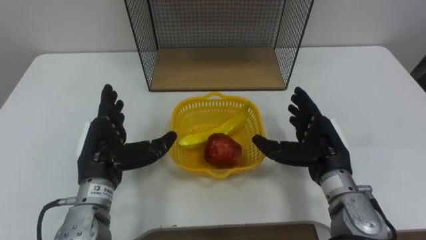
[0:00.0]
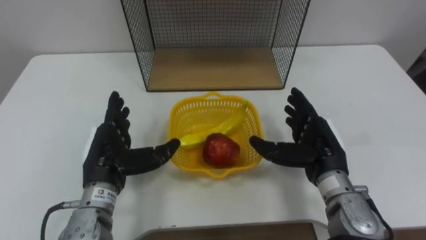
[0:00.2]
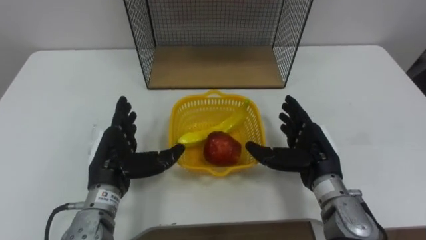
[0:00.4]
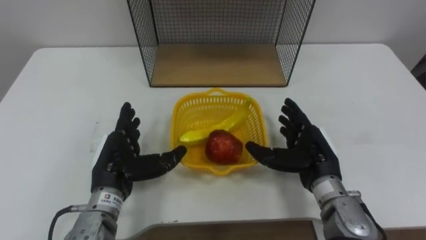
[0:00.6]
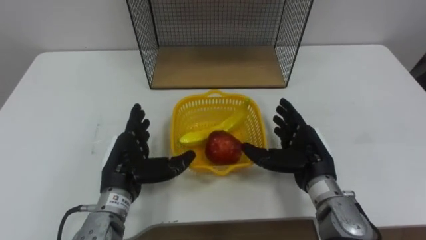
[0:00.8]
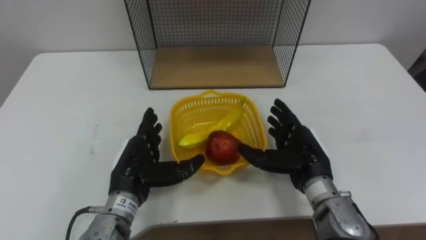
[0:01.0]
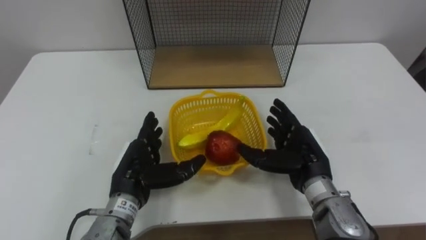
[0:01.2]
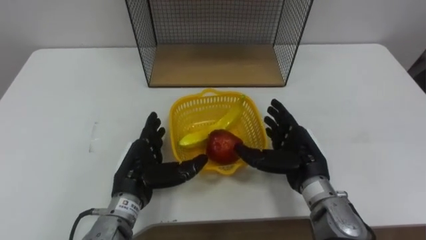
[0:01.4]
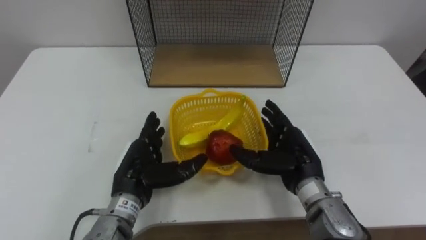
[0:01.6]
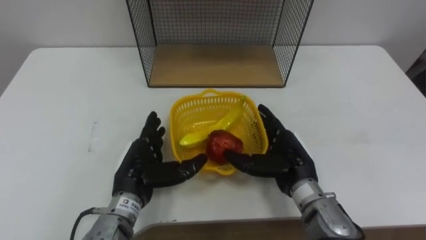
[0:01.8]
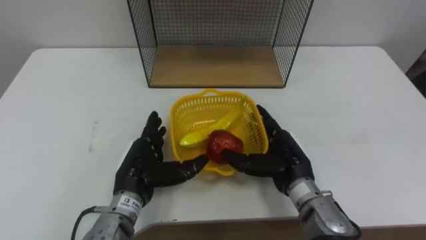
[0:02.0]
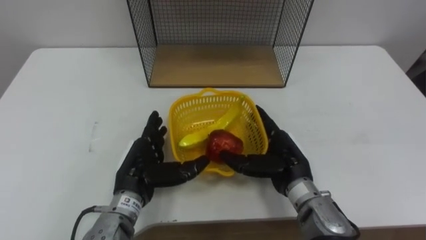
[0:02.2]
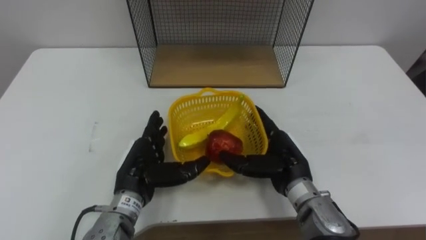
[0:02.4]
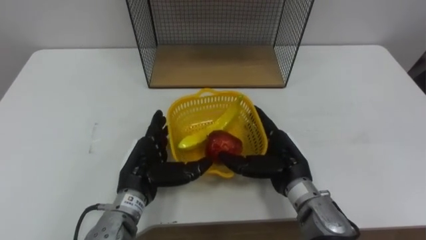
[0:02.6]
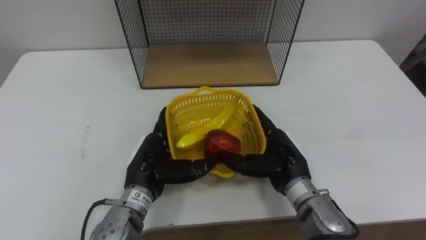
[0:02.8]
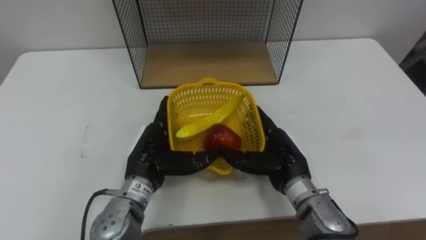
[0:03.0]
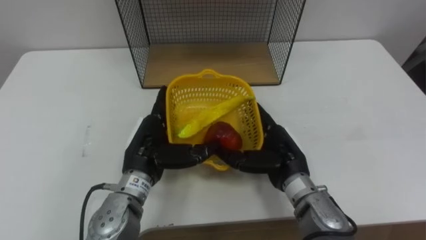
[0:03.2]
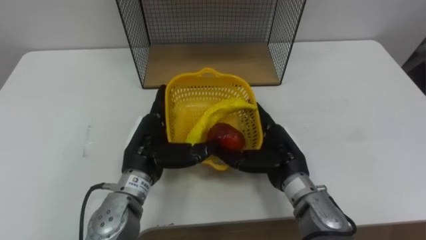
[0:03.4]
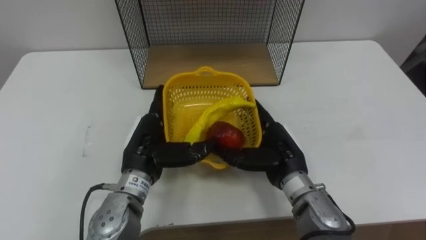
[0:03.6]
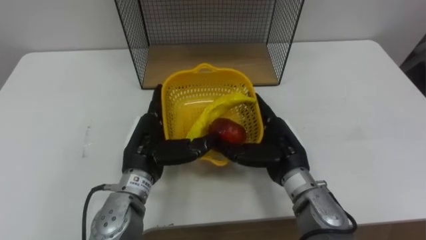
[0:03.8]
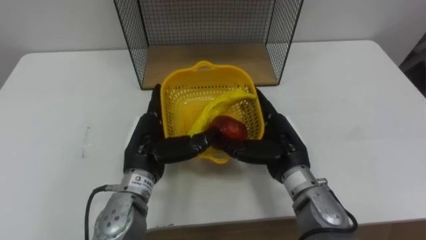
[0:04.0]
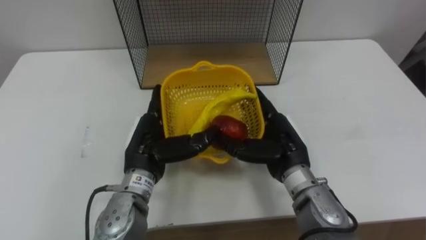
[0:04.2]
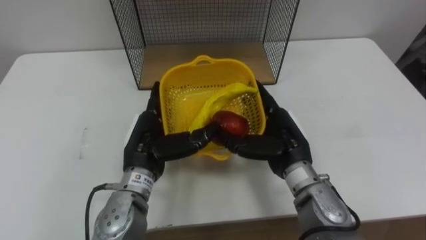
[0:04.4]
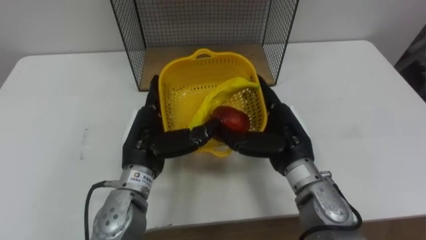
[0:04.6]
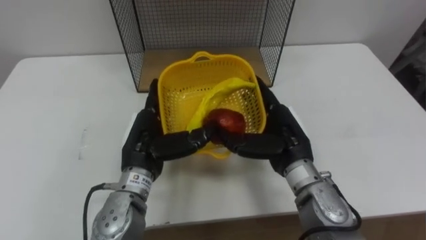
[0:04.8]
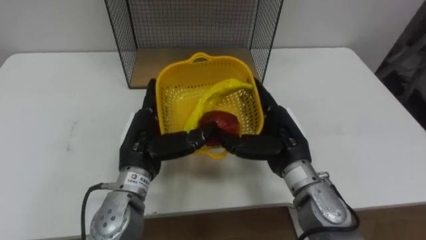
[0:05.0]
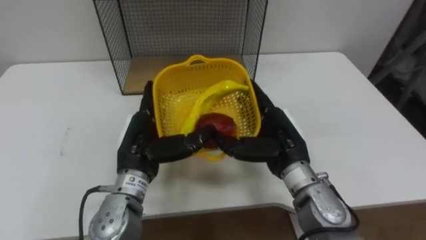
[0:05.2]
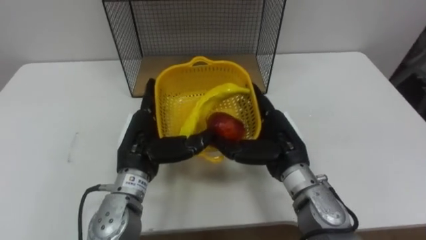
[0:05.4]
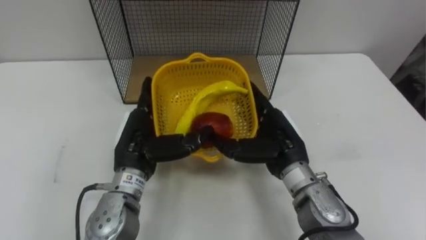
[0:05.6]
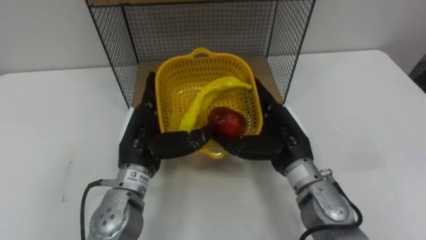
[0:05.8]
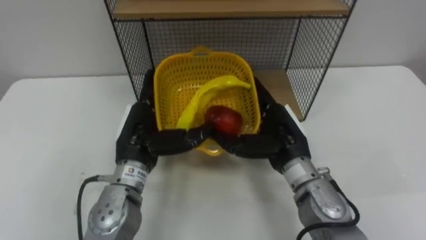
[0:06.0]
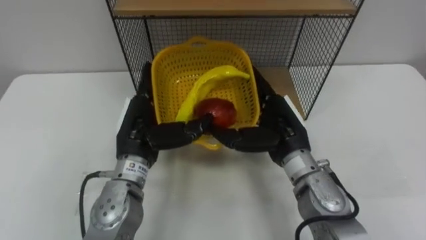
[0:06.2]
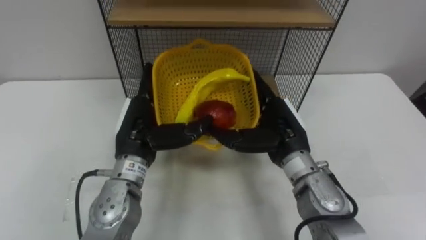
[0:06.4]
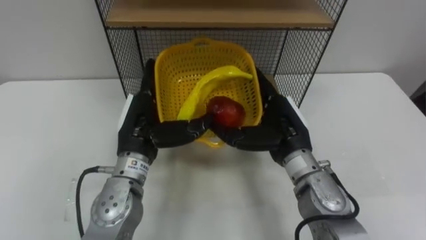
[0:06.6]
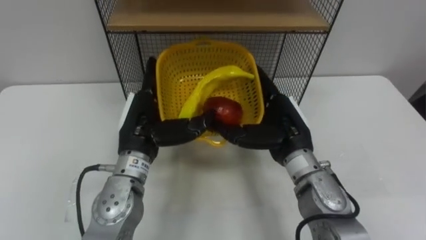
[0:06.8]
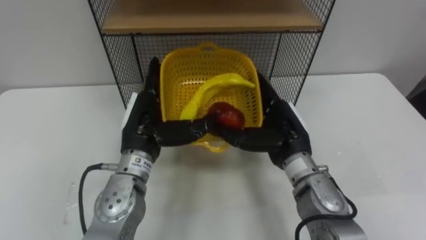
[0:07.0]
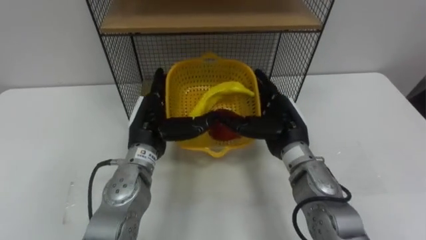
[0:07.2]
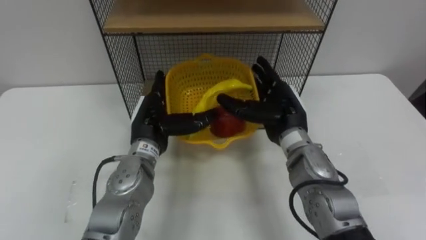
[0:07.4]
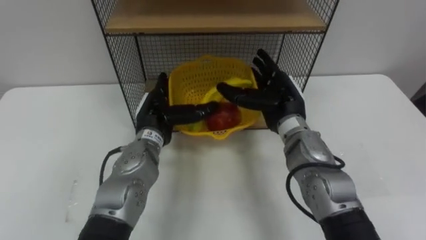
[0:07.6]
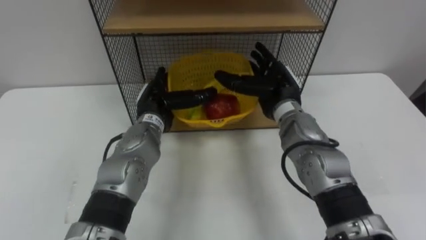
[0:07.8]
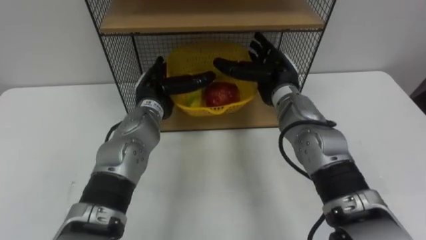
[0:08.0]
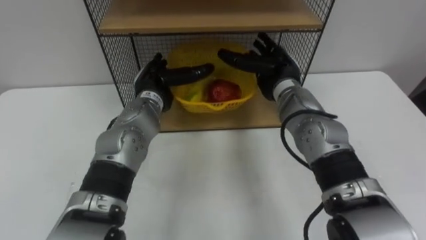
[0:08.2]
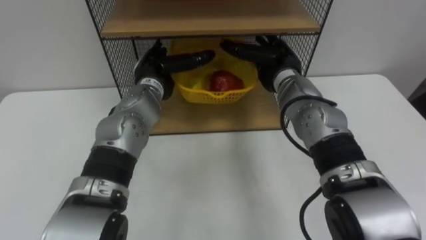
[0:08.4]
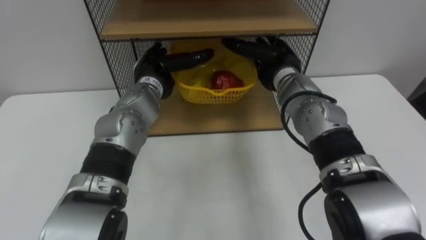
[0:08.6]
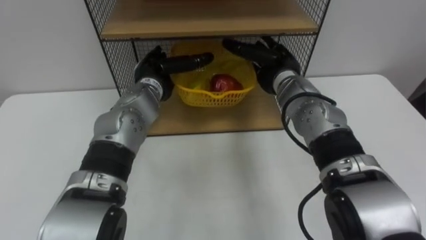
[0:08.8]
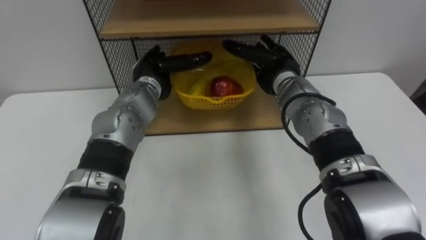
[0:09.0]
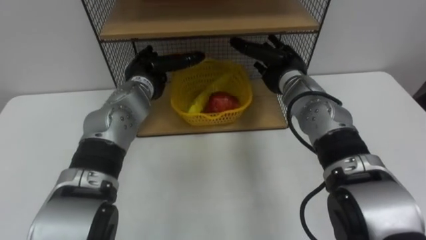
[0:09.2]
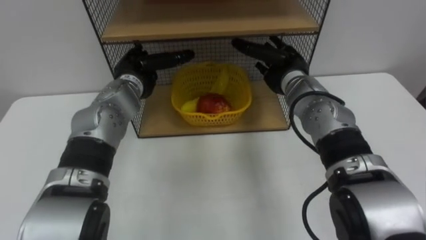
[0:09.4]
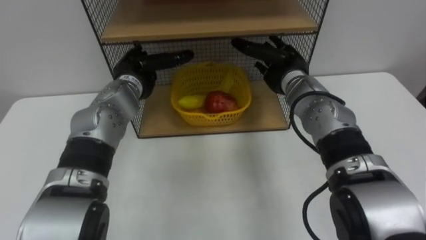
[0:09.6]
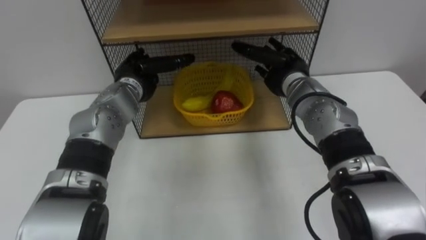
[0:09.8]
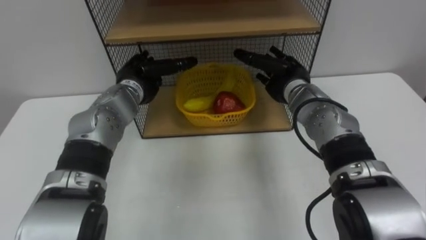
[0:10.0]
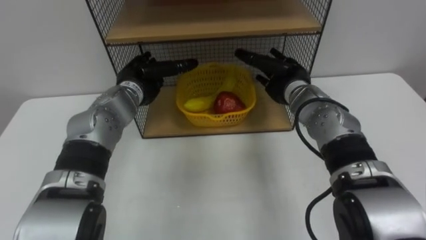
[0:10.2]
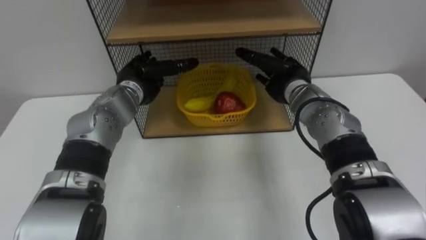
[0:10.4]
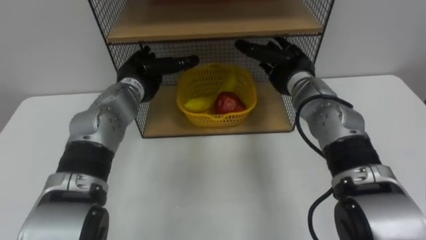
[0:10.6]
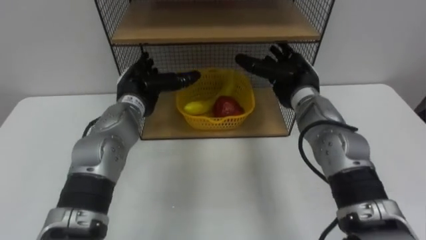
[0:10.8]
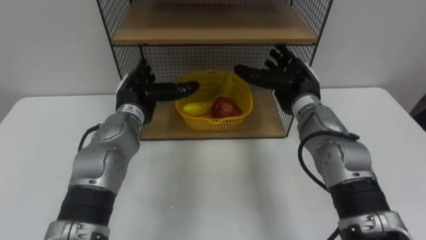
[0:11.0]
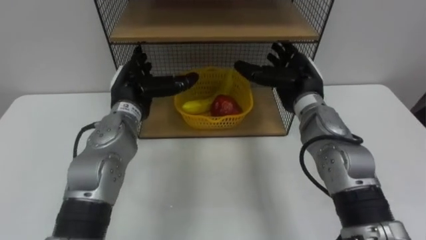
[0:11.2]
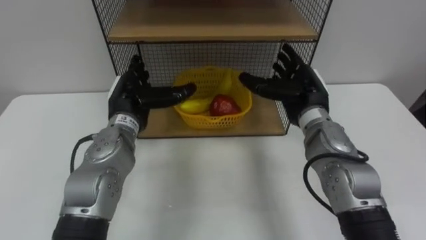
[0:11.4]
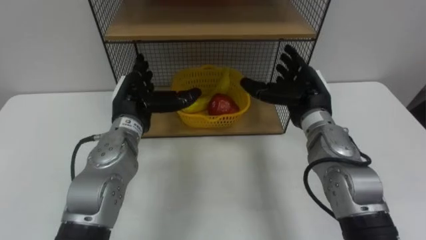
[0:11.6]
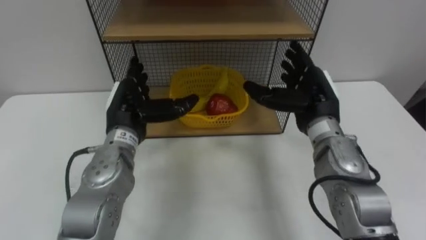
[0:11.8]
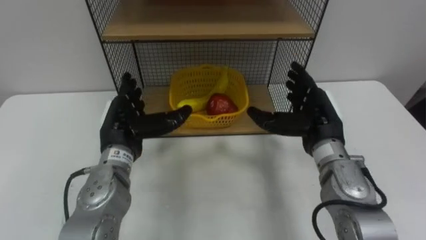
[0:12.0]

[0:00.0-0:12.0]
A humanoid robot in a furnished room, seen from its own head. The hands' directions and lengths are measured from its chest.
Task of the whole recording: Put the fruit on the table into the basket, then place the basket on the shelf.
0:00.0 to 0:01.6: The left hand shifts some 5 cm to the right.
0:01.6 to 0:03.0: There are only small adjustments of the hands.
0:06.0 to 0:07.6: Both hands travel together forward, some 5 cm.
0:07.6 to 0:09.0: Both hands move forward, roughly 5 cm.
0:10.4 to 0:12.0: Both hands move backward, roughly 10 cm.

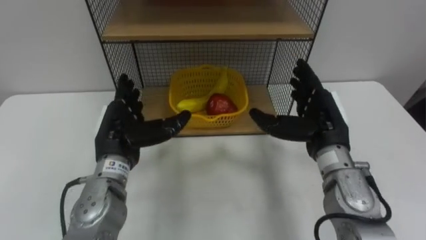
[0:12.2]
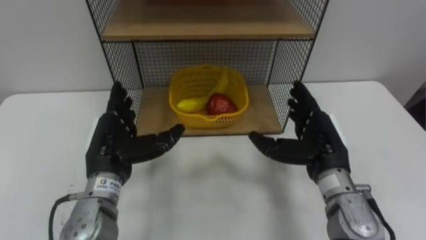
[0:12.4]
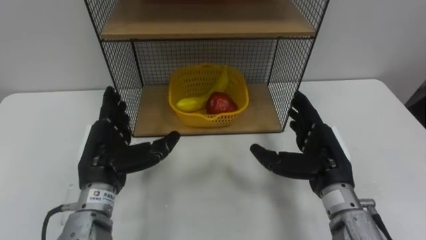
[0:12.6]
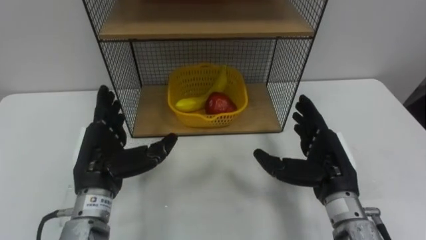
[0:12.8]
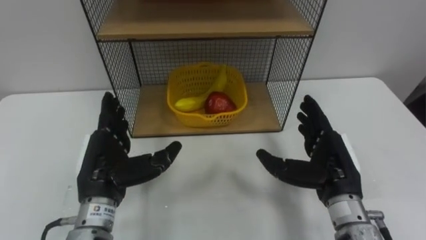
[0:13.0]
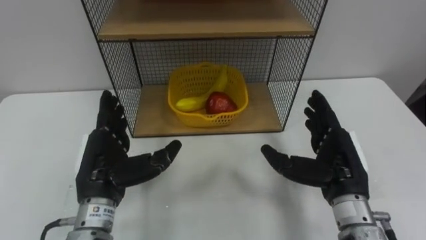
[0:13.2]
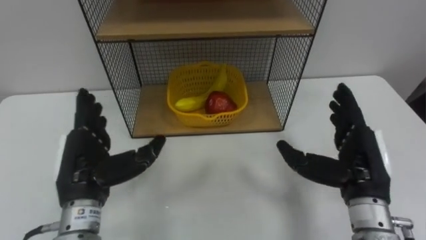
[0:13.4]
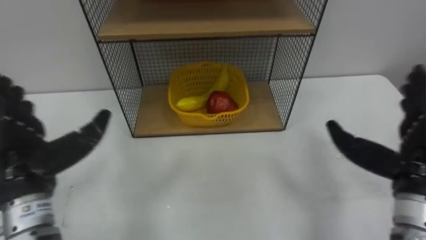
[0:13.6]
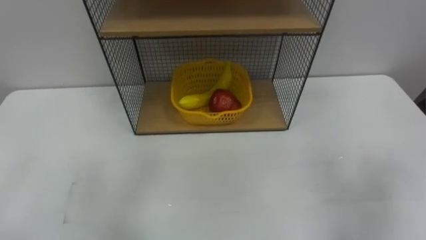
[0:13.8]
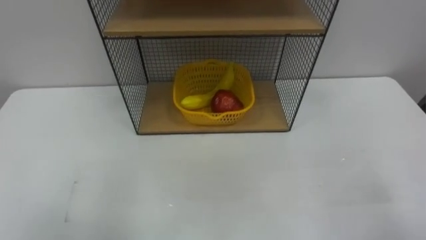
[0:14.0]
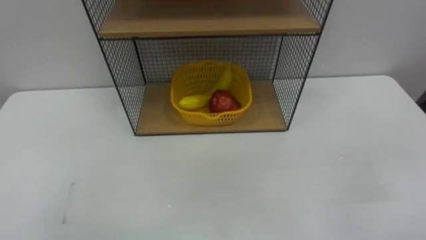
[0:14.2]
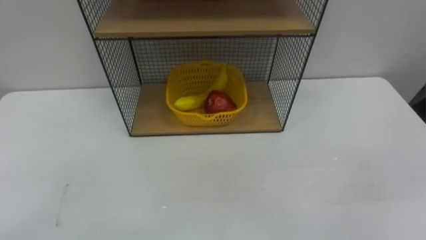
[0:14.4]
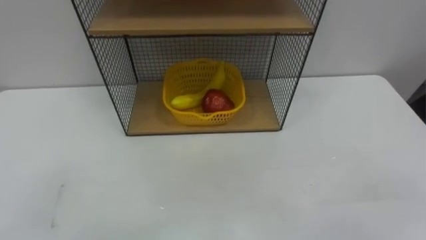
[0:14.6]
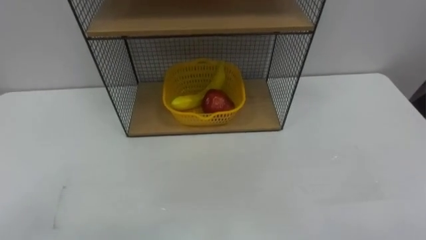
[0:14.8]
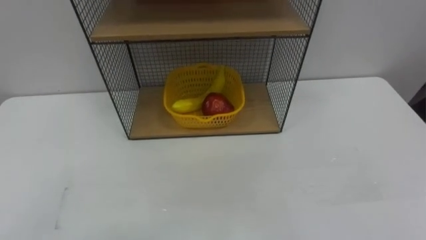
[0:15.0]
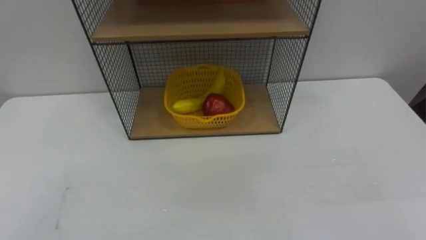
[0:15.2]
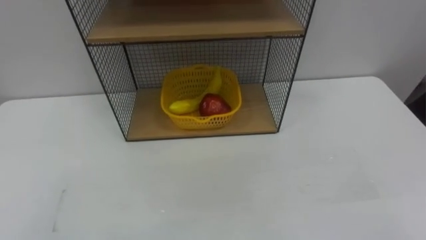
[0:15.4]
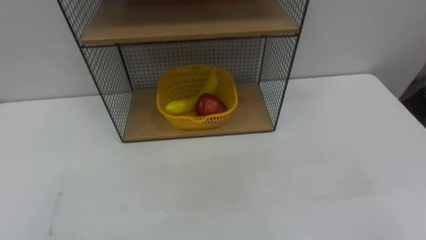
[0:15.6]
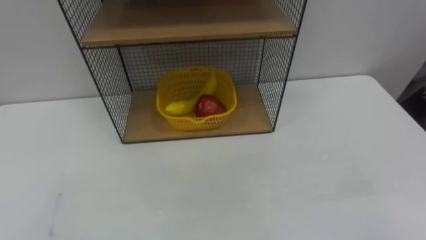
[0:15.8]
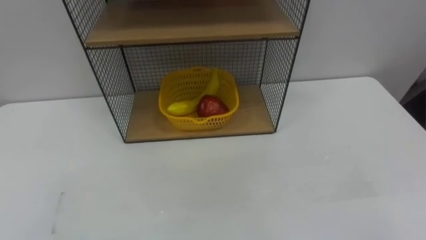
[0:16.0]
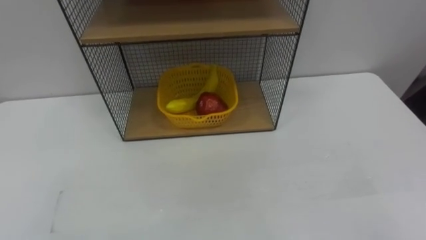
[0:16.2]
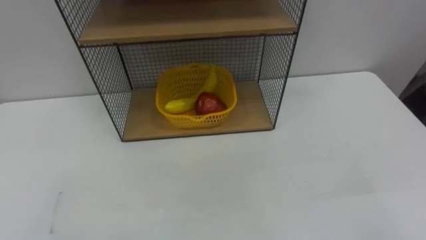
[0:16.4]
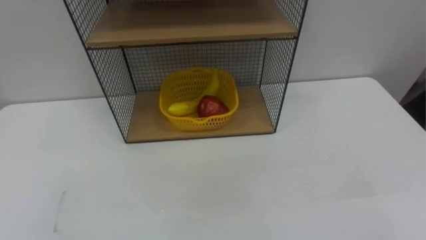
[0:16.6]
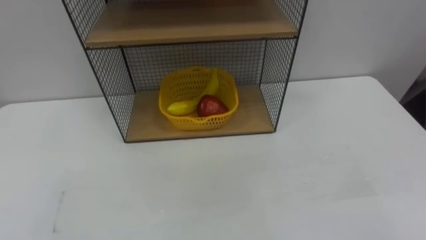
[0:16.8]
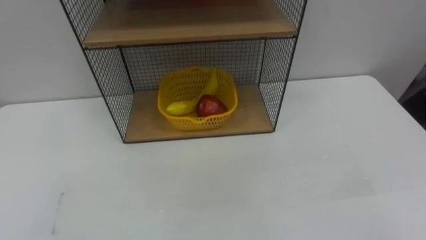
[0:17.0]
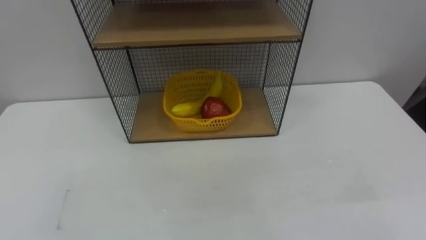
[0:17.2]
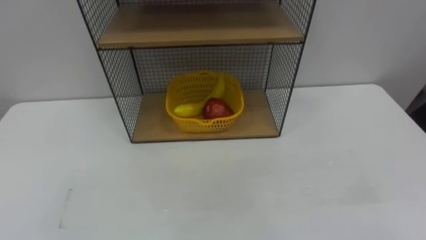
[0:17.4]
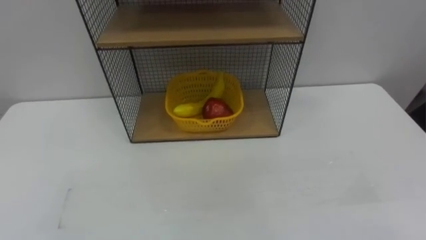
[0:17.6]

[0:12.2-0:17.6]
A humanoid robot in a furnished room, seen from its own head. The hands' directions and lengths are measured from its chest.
Task of the whole recording: Put the fruit on the table into the basket, then place the basket on the shelf.
0:12.2 to 0:13.6: The right hand moves to the right and backward, some 15 cm. Meanwhile the left hand moves to the left, backward and upward, about 15 cm.
